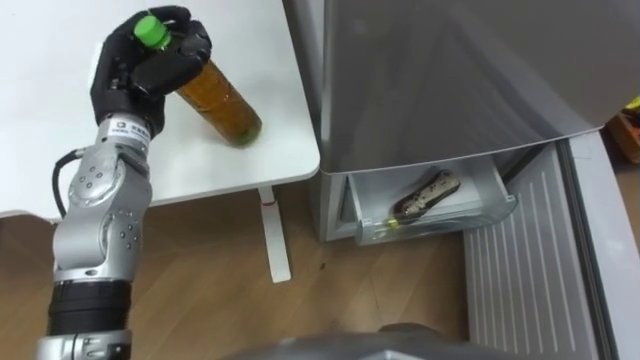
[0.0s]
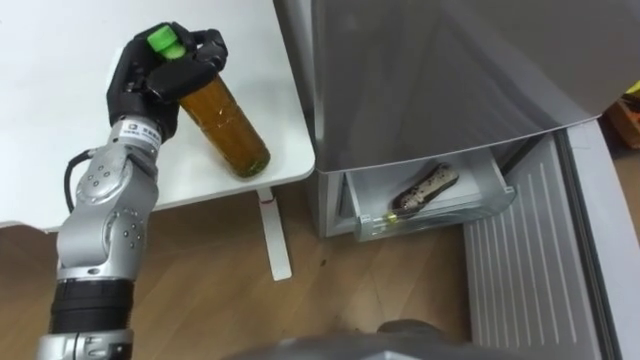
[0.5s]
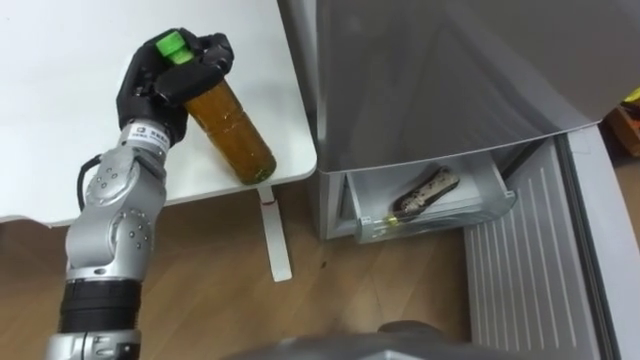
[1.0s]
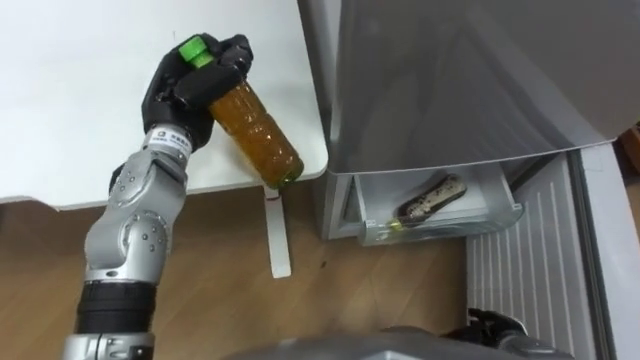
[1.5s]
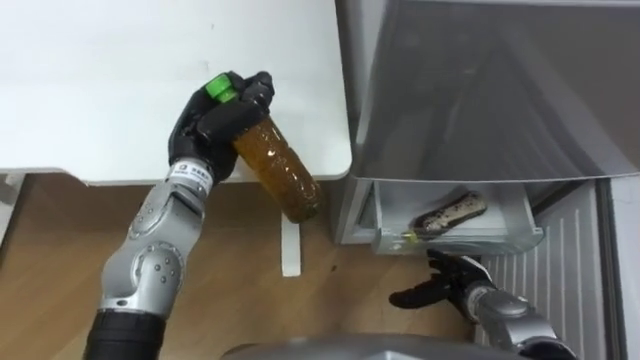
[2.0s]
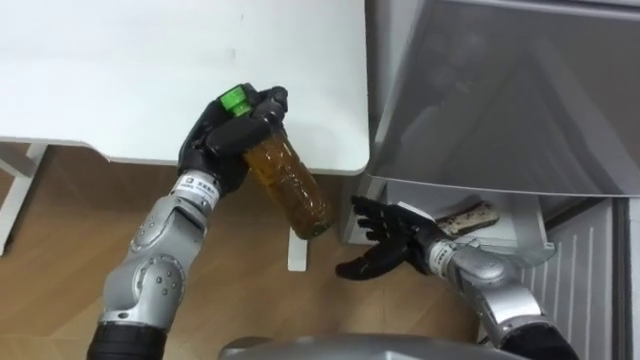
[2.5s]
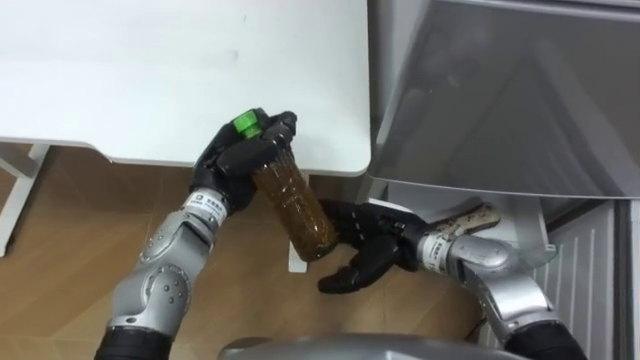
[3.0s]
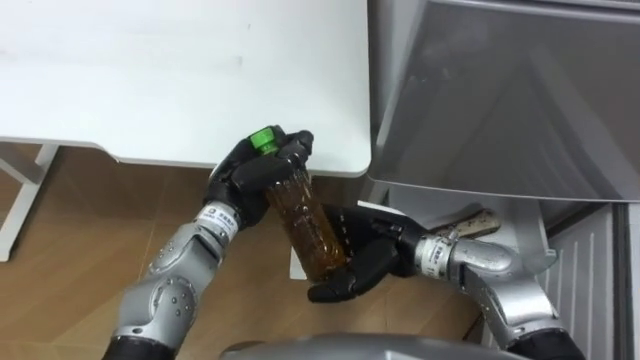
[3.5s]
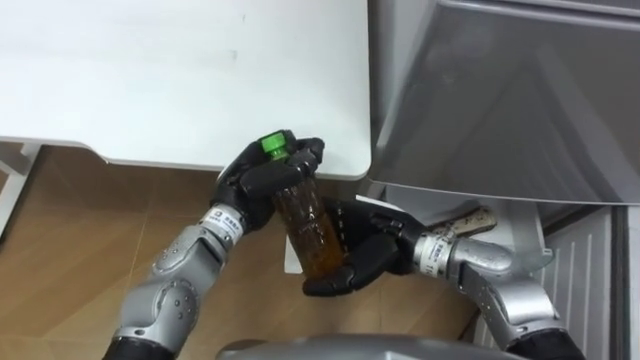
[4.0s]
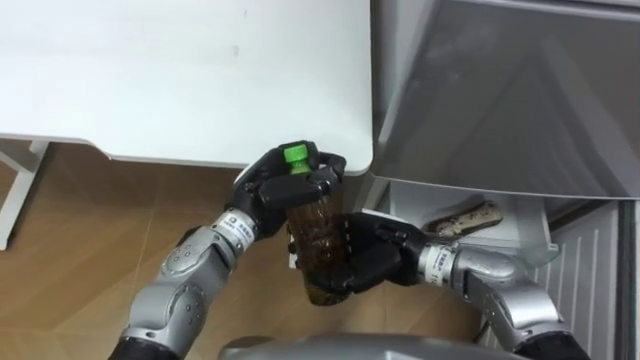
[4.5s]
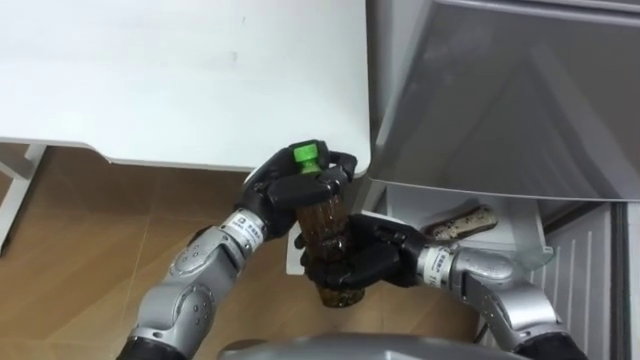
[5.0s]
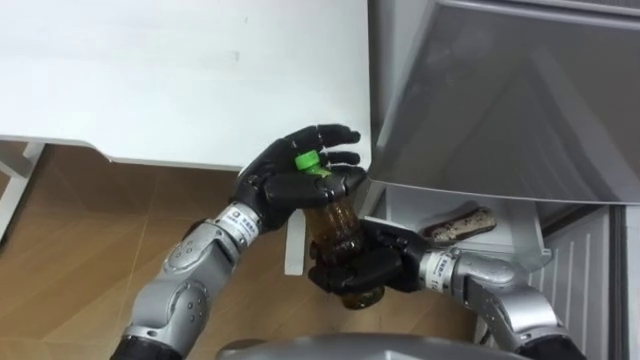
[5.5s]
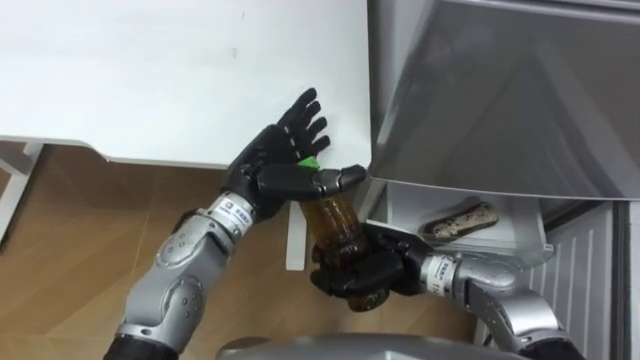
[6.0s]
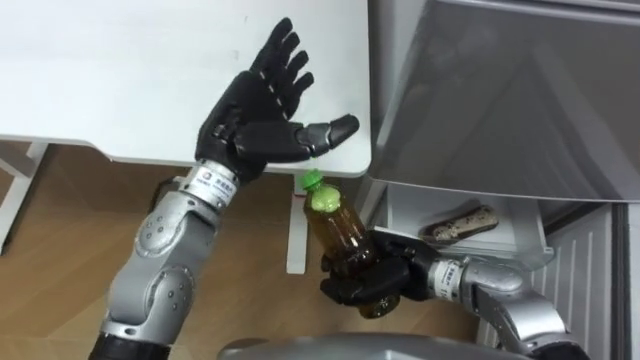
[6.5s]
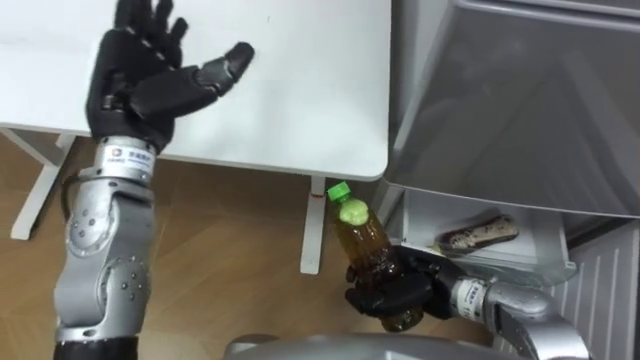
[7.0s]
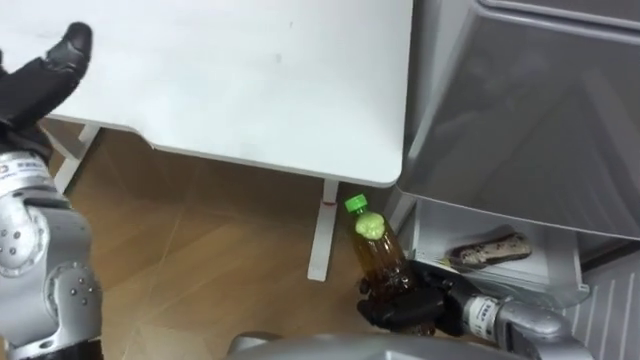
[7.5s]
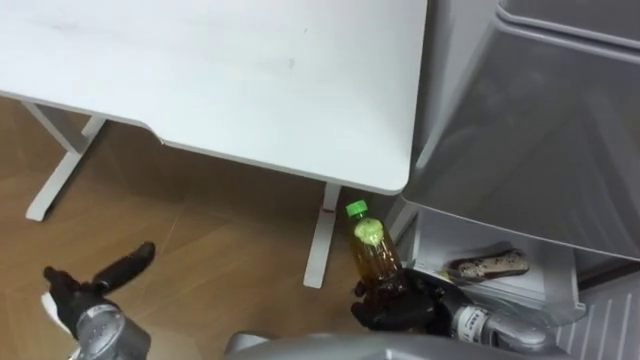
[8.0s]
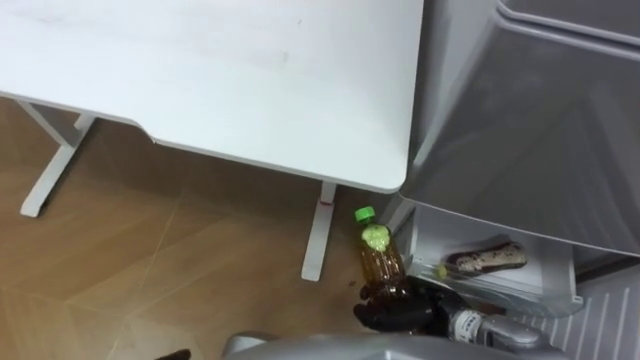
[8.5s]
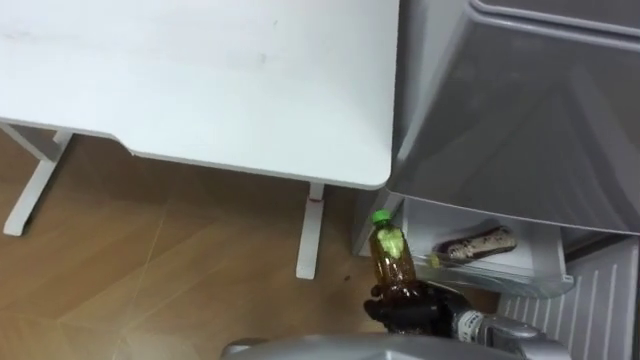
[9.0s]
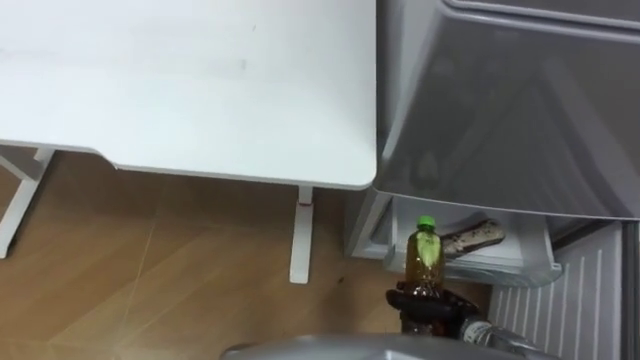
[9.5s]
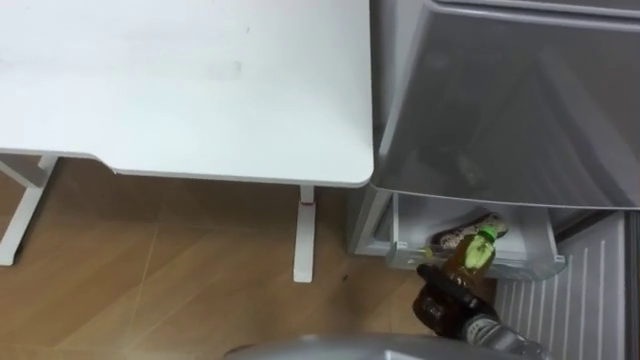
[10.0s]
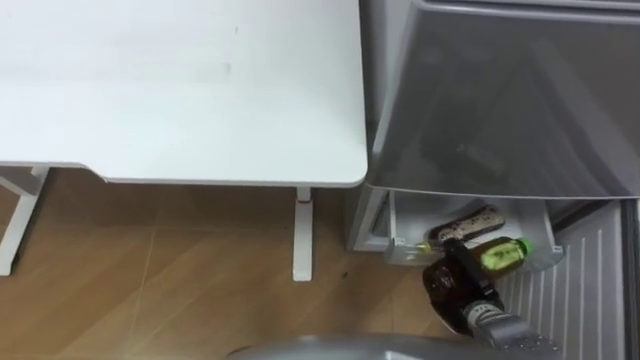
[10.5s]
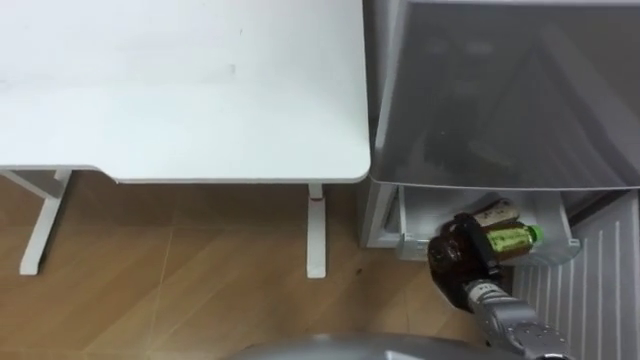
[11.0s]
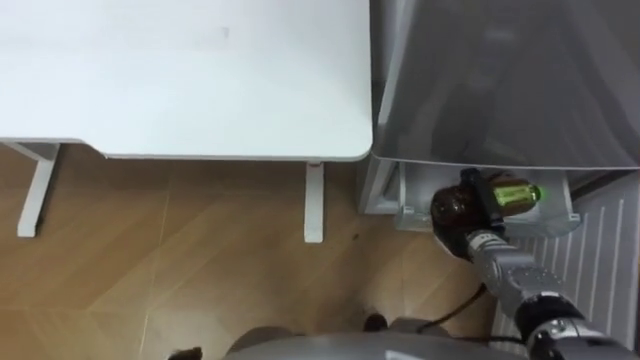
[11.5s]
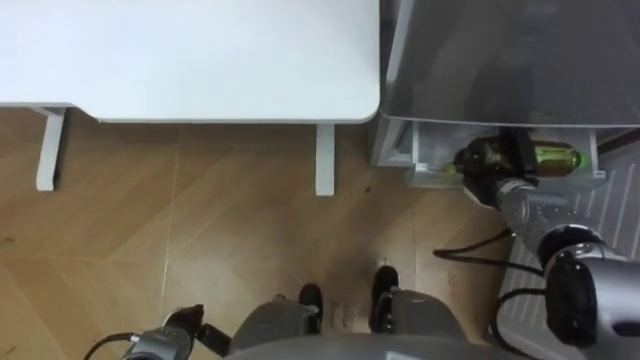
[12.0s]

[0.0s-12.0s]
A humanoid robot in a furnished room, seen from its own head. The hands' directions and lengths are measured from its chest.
Task of the whole recording: Place the drink on the table on the bottom shelf of the refrigerator, then close the drawer and the refrigerator door.
0.0s to 2.0s: The left hand is displaced to the right and downward by roughly 10 cm.
2.0s to 4.0s: The right hand goes about 20 cm upward and to the left; the left hand shifts roughly 5 cm to the right.
4.0s to 6.0s: The right hand closes its fingers; the left hand opens.
6.0s to 8.0s: The right hand heads to the right, backward and downward, covering approximately 10 cm.
8.0s to 10.0s: The right hand heads downward and to the right, covering about 10 cm.
10.0s to 12.0s: The right hand shifts roughly 20 cm forward and upward.

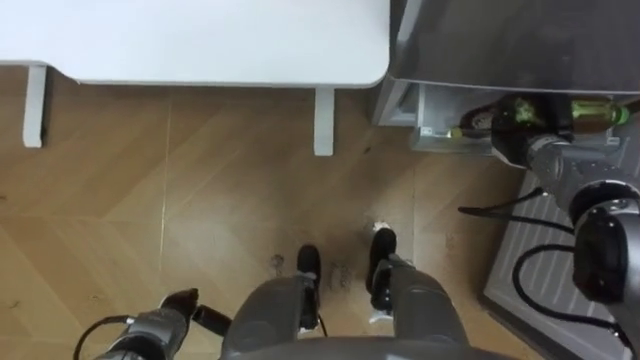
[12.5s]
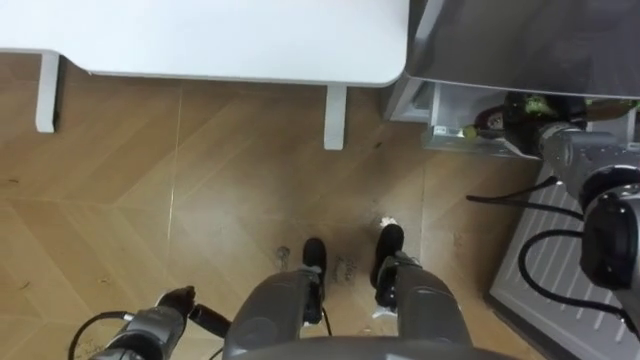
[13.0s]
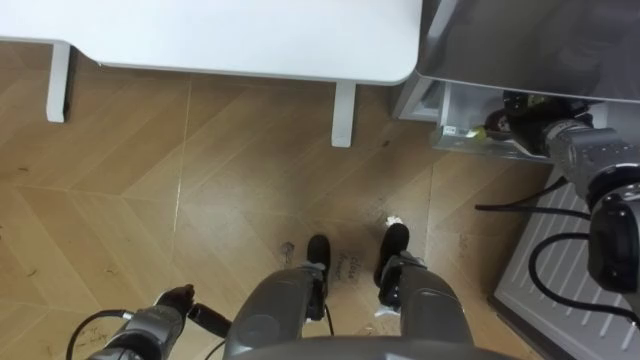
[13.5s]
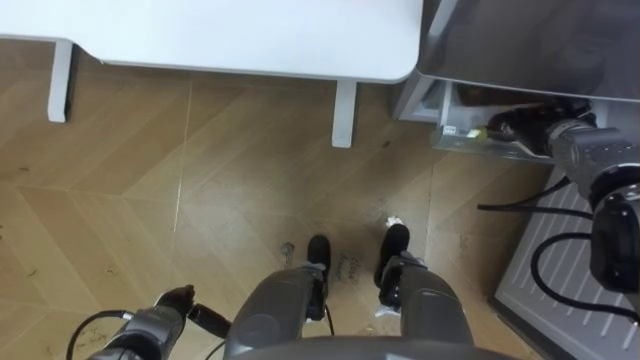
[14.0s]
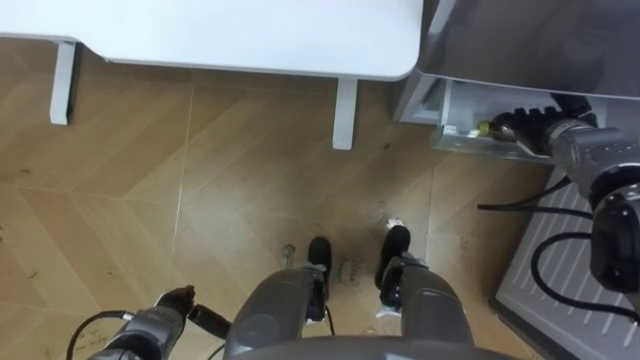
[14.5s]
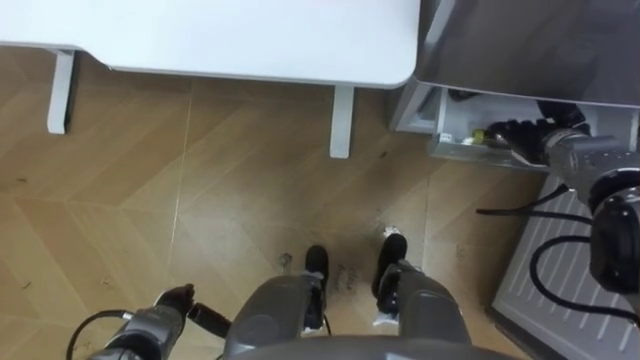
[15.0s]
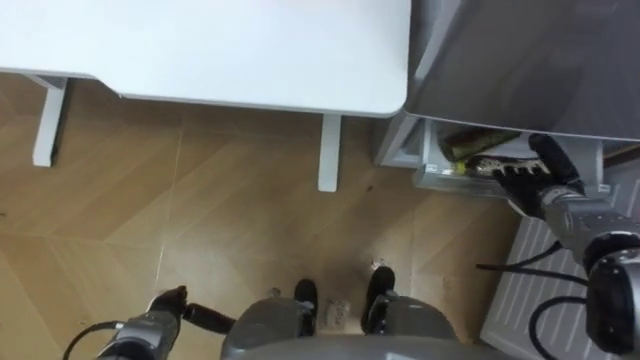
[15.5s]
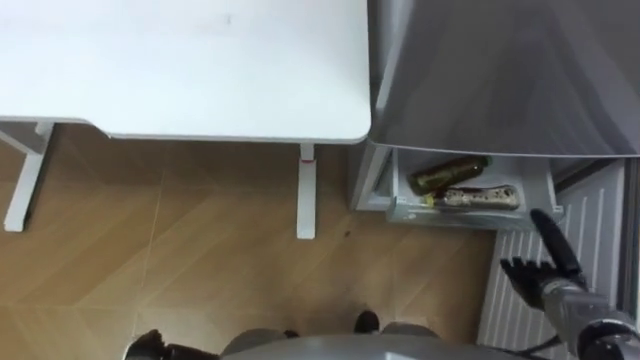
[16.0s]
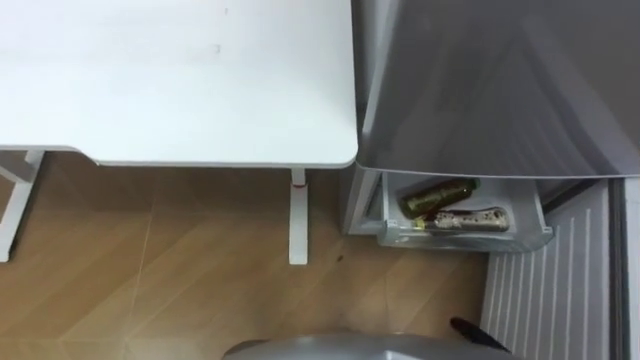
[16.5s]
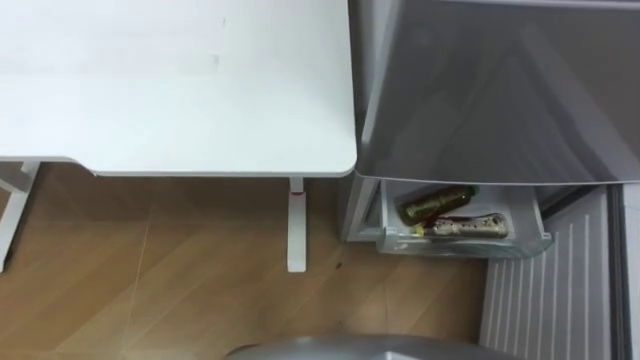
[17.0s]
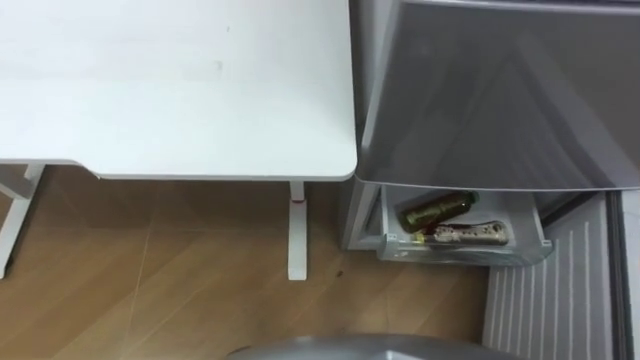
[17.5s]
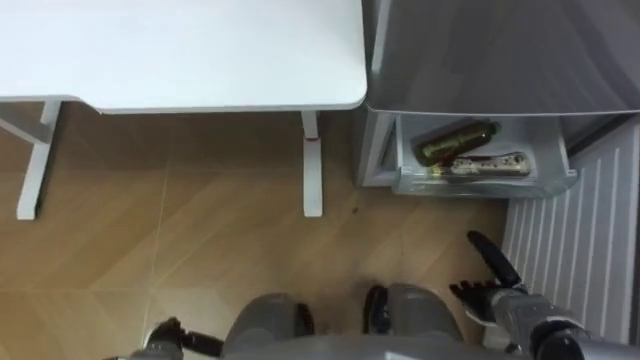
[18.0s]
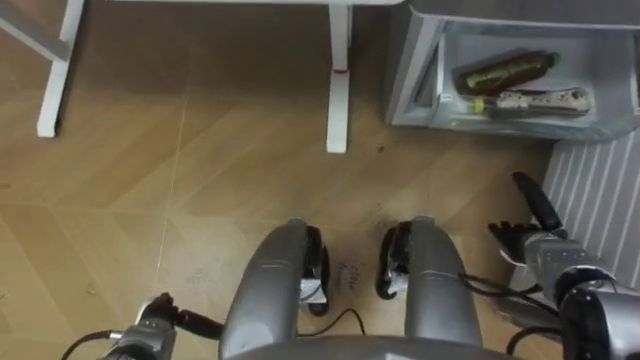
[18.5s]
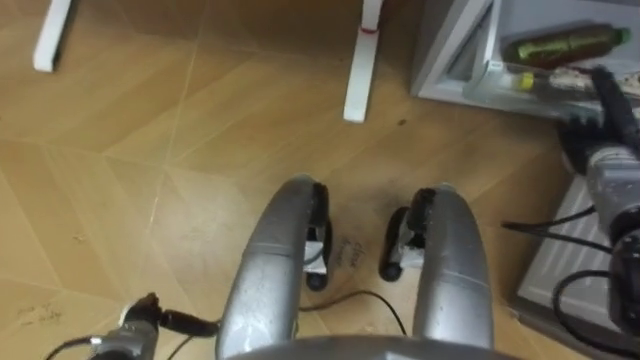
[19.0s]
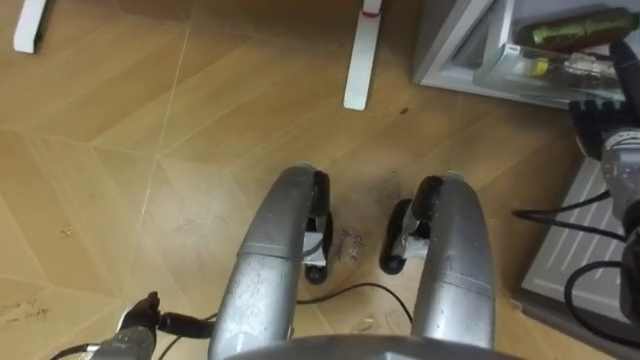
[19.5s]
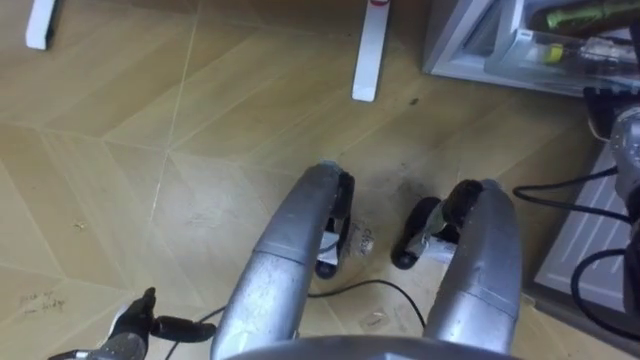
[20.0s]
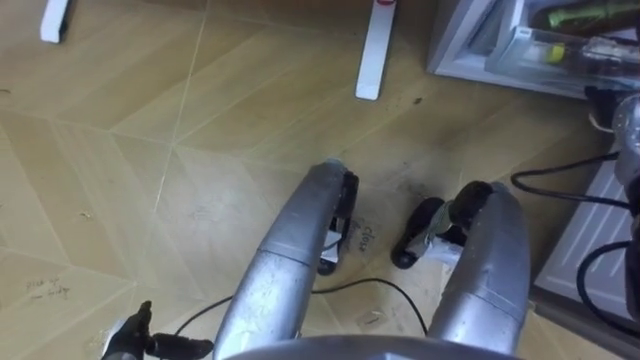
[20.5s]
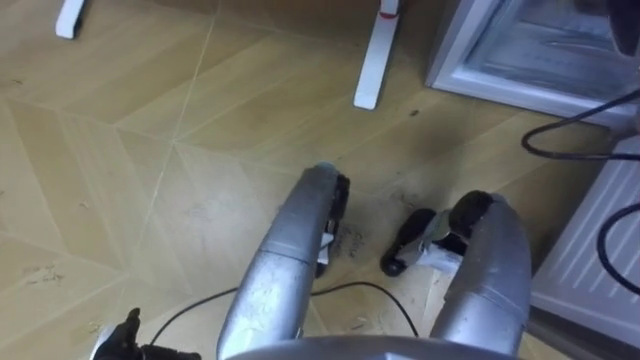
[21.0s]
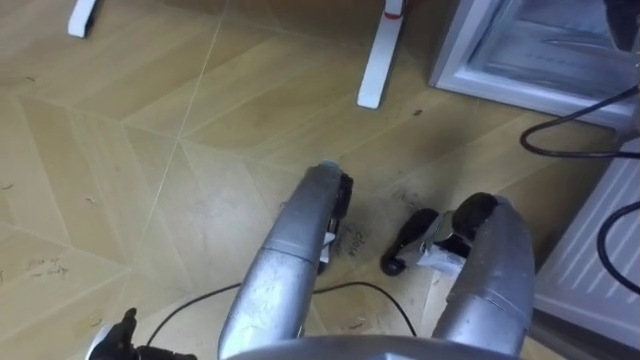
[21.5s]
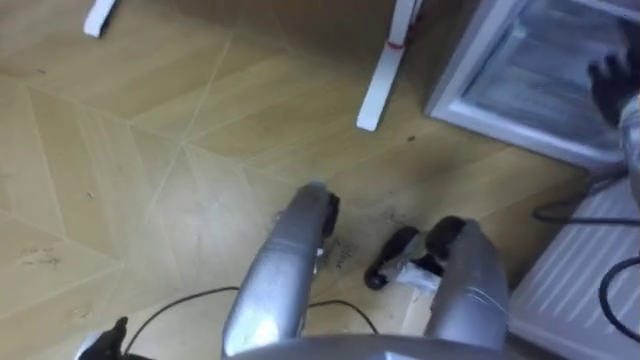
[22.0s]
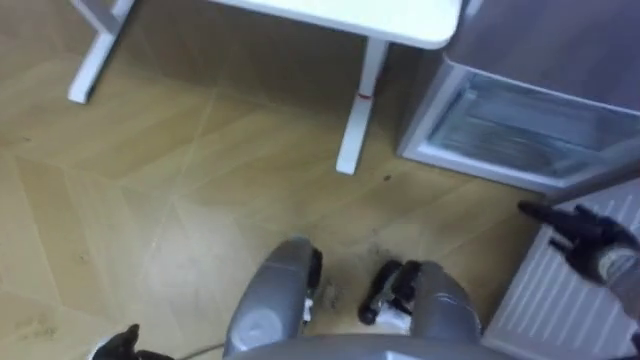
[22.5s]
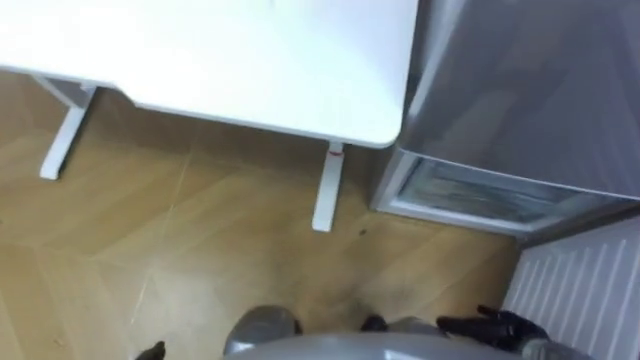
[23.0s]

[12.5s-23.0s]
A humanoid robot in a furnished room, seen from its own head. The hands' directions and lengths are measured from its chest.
Task of the whole recording: Place the drink on the table on the bottom shelf of the refrigerator, then close the drawer and the refrigerator door.
12.5s to 14.5s: The right hand opens.
